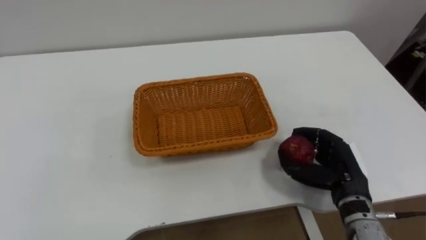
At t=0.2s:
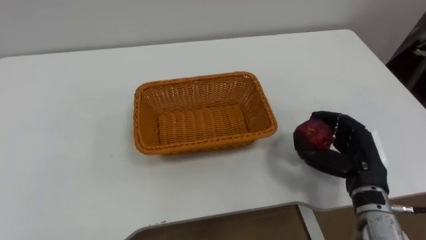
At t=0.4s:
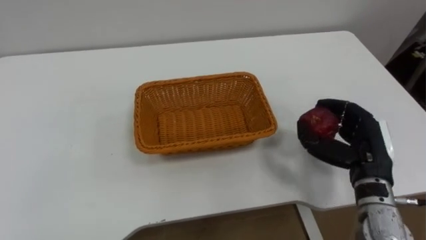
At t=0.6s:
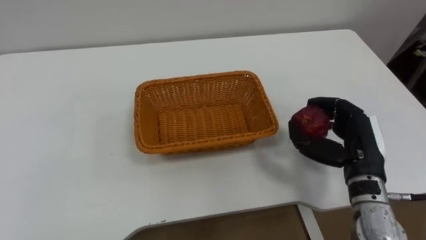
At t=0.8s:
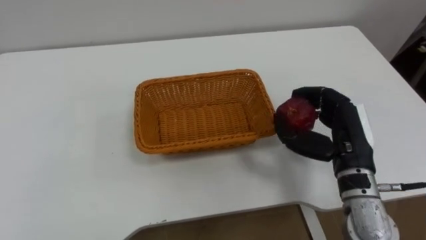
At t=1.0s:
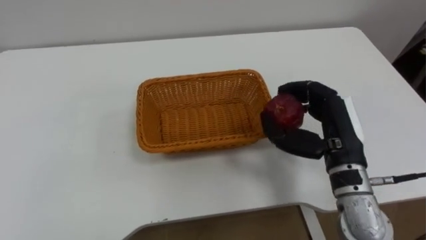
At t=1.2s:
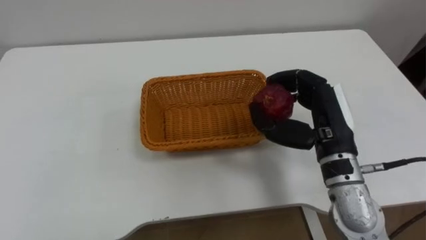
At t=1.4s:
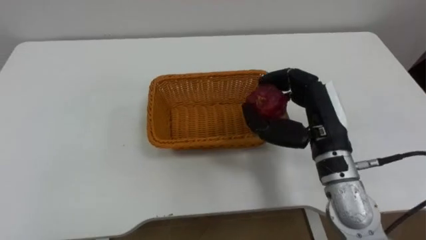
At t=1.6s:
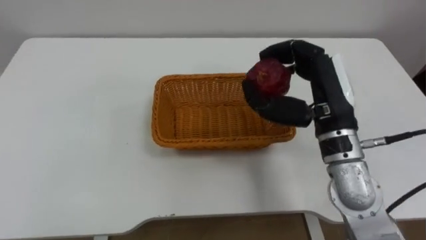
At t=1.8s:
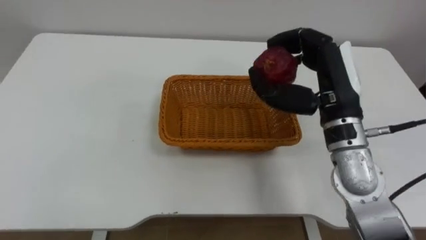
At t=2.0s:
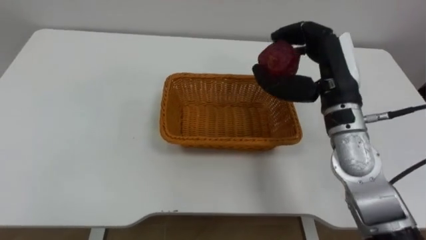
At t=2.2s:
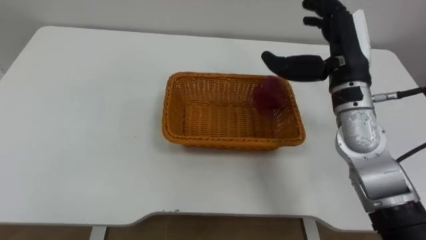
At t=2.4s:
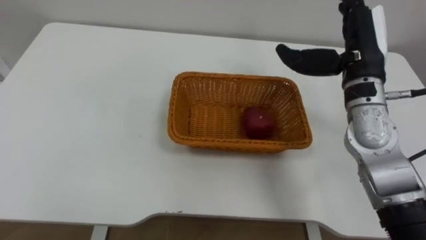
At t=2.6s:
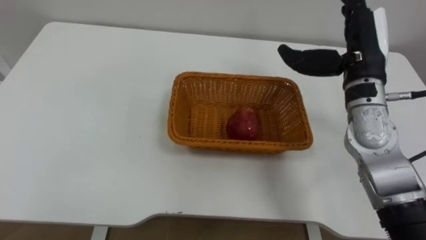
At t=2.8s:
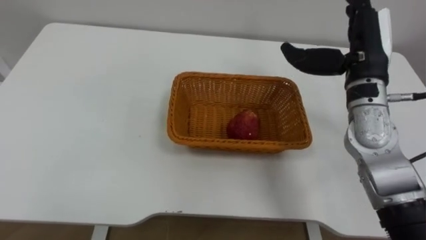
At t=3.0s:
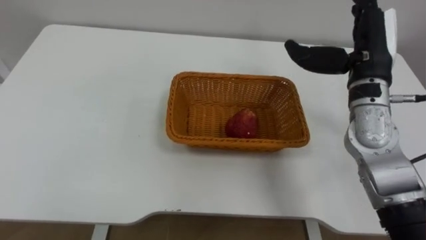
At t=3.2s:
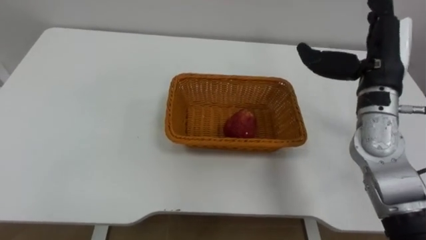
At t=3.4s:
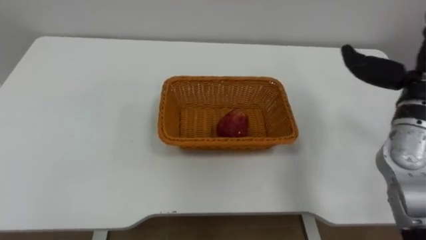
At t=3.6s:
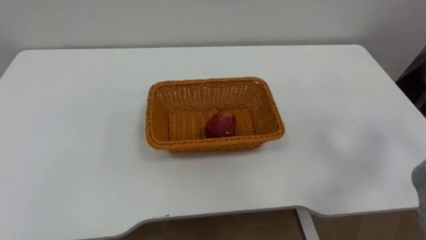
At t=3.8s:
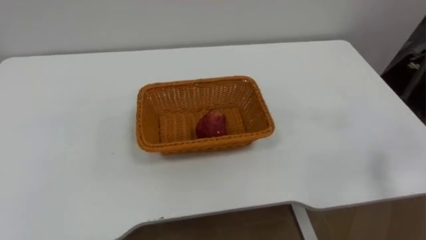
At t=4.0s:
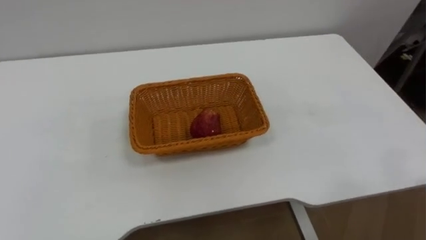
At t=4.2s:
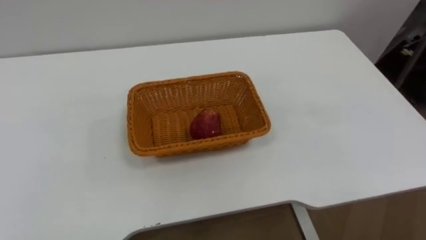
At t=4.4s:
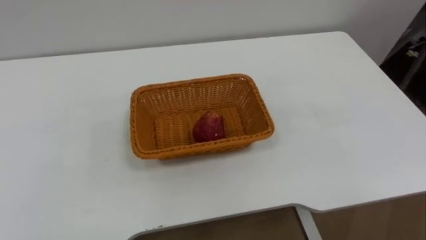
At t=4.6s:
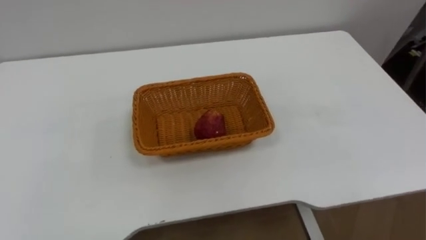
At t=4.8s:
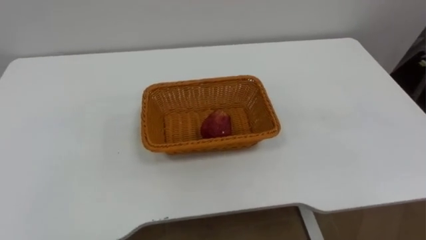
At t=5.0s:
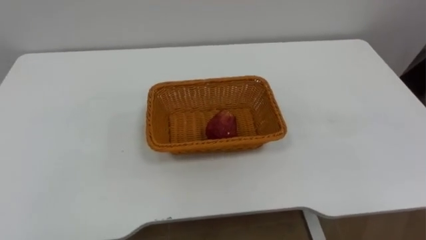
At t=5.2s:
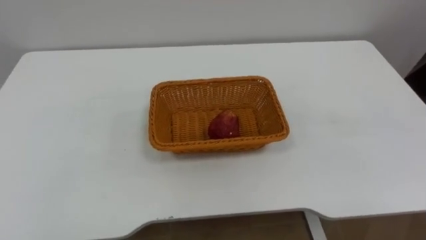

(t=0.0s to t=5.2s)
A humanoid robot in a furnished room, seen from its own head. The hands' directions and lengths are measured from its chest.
Task of the whole recording: Pick the apple and place it in the box.
t=0.0s - t=1.8s: The right hand is displaced upward and forward by some 20 cm.
t=1.8s - t=3.4s: The right hand is displaced to the right by some 15 cm, and opens up.

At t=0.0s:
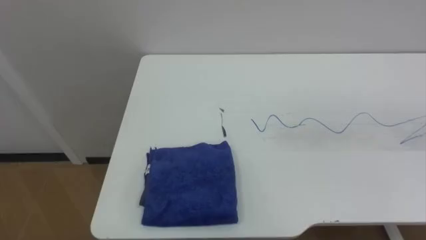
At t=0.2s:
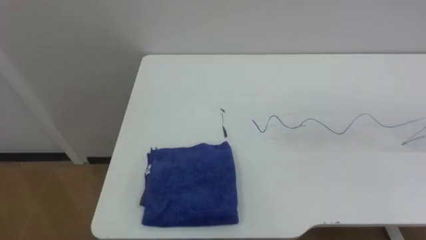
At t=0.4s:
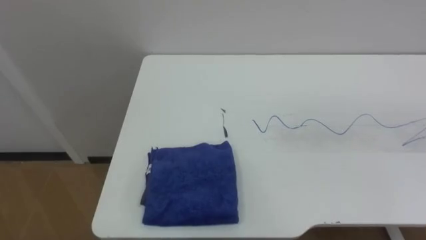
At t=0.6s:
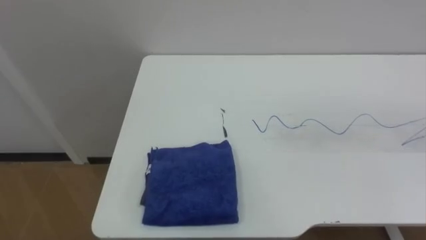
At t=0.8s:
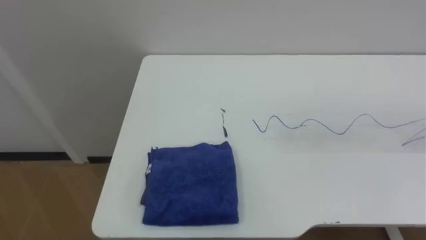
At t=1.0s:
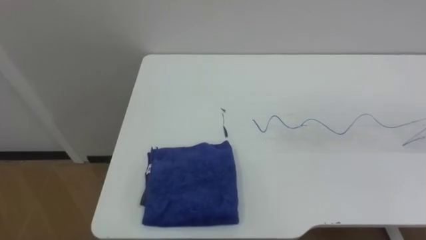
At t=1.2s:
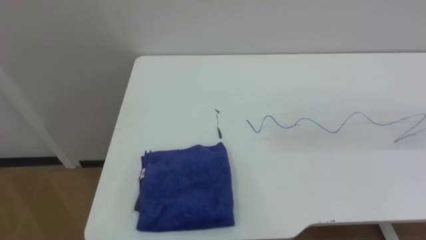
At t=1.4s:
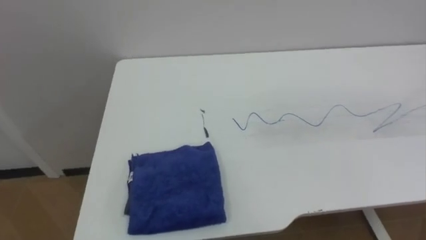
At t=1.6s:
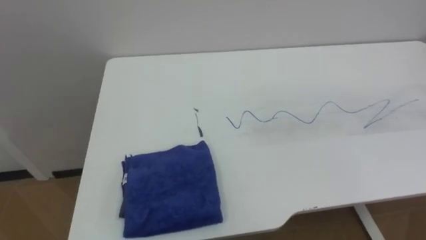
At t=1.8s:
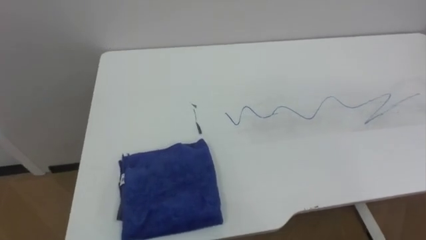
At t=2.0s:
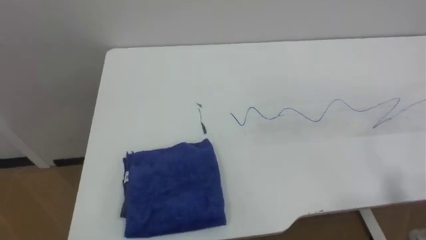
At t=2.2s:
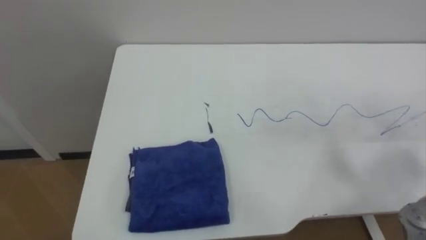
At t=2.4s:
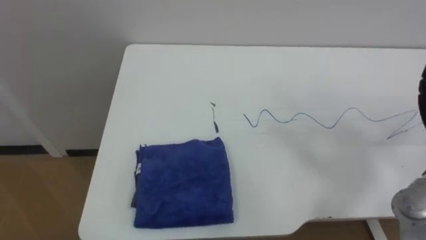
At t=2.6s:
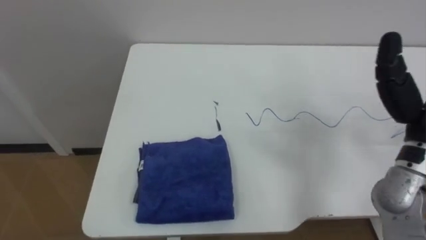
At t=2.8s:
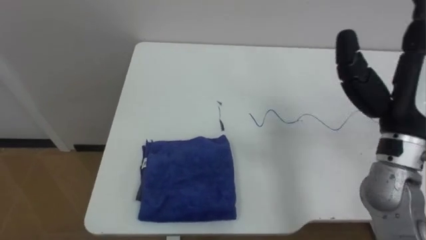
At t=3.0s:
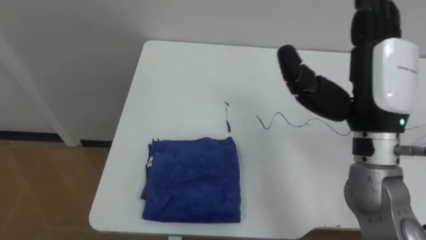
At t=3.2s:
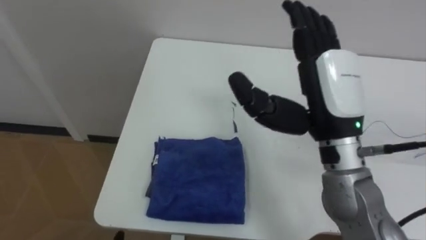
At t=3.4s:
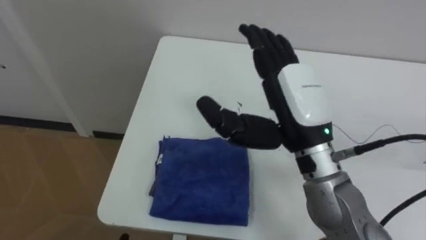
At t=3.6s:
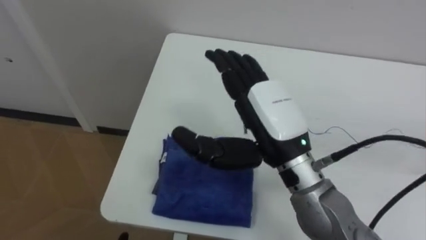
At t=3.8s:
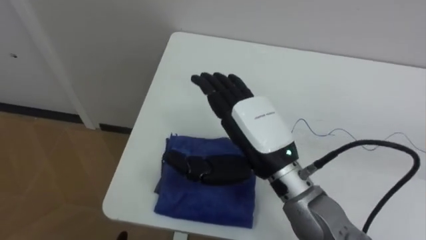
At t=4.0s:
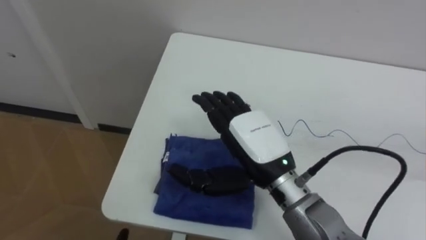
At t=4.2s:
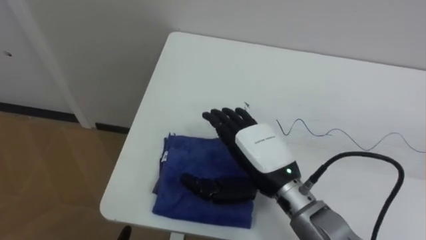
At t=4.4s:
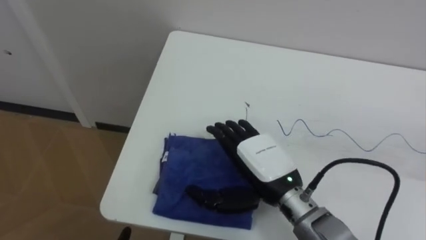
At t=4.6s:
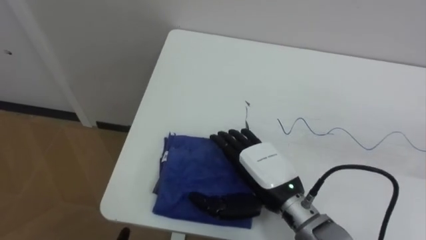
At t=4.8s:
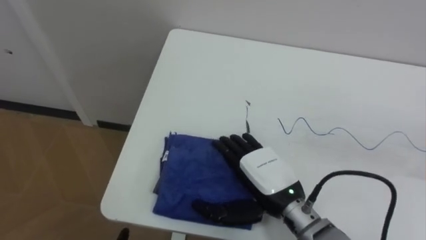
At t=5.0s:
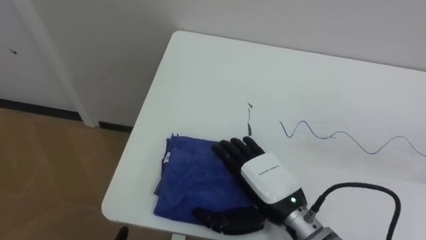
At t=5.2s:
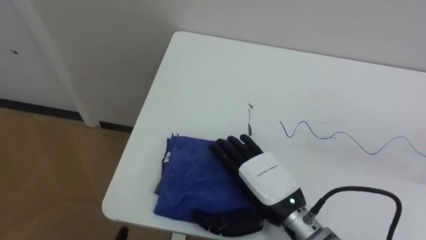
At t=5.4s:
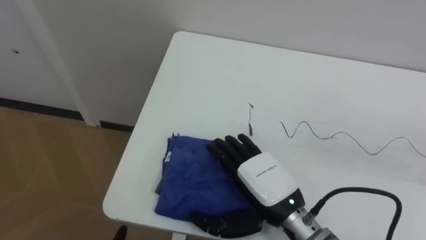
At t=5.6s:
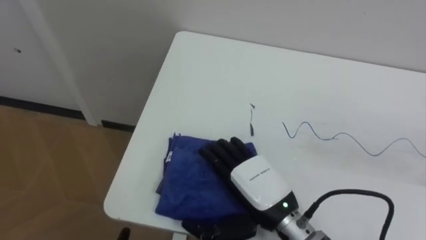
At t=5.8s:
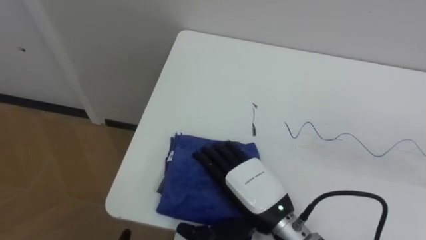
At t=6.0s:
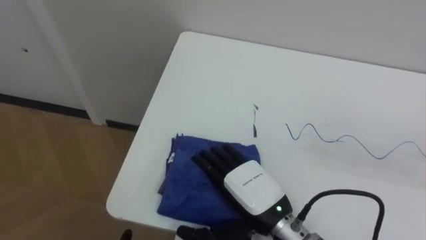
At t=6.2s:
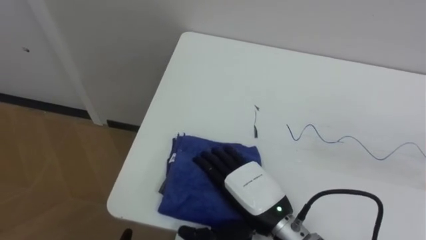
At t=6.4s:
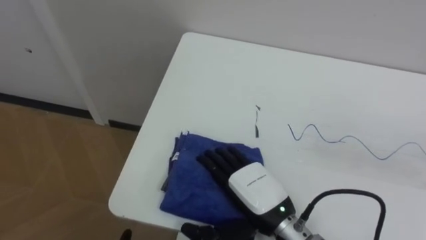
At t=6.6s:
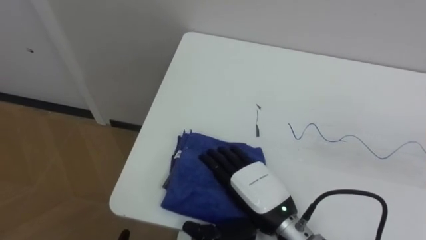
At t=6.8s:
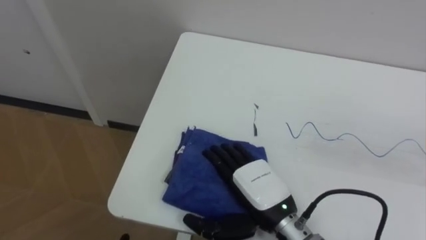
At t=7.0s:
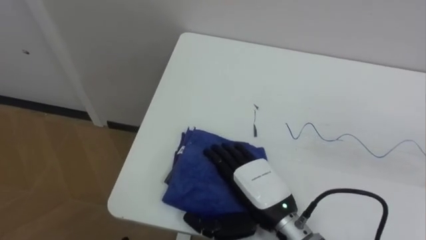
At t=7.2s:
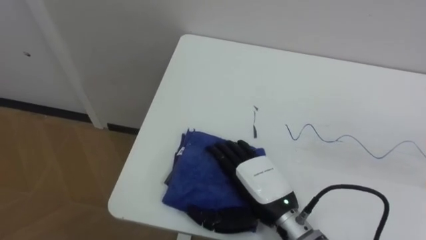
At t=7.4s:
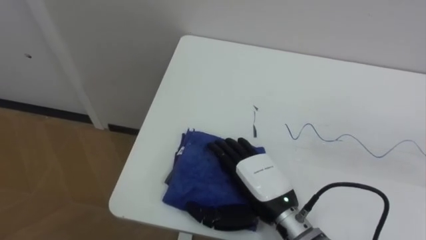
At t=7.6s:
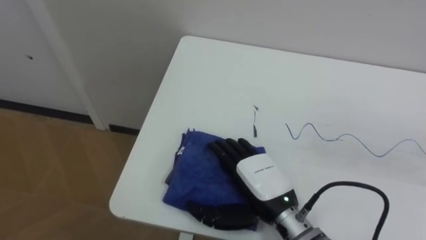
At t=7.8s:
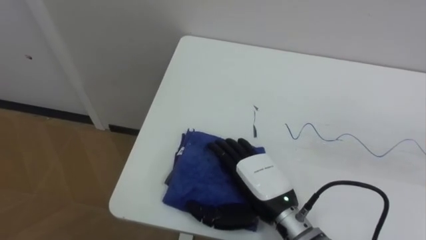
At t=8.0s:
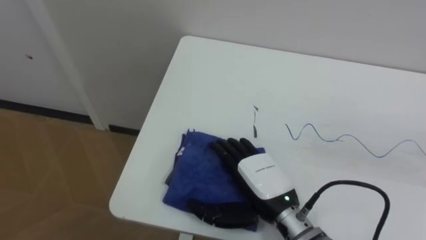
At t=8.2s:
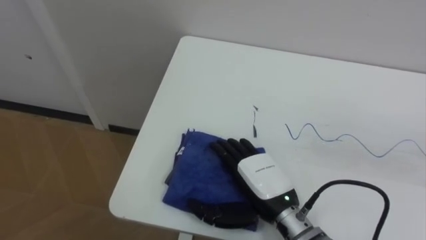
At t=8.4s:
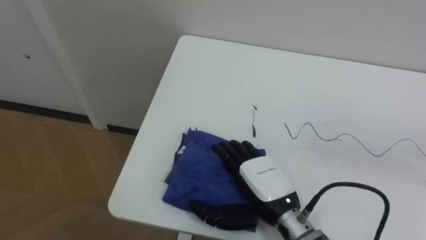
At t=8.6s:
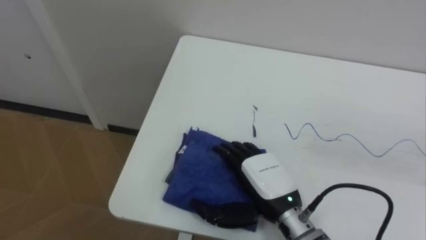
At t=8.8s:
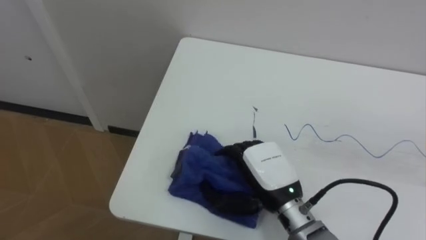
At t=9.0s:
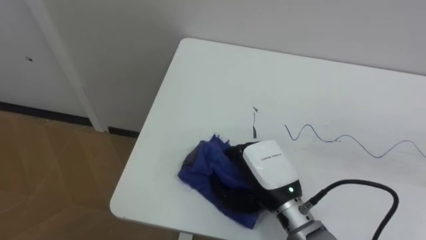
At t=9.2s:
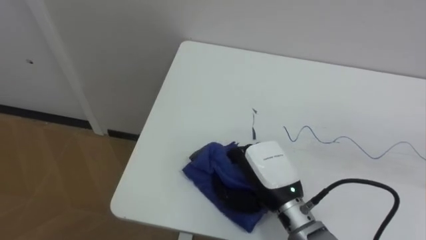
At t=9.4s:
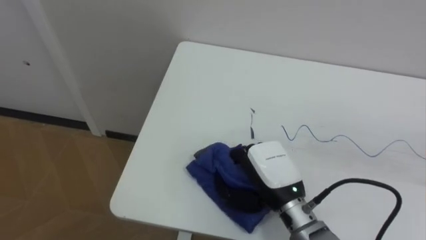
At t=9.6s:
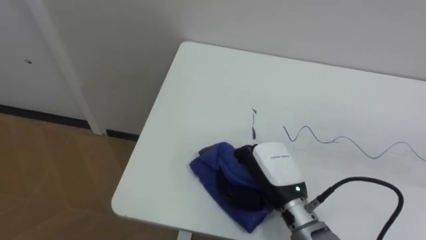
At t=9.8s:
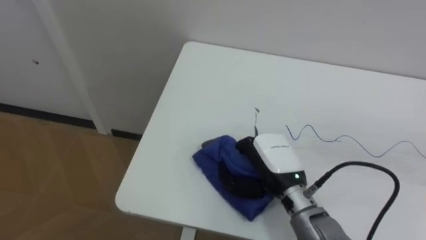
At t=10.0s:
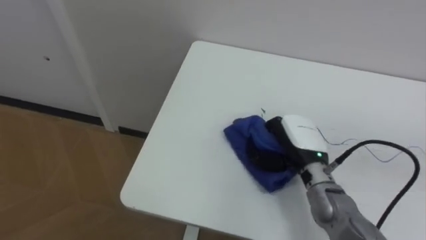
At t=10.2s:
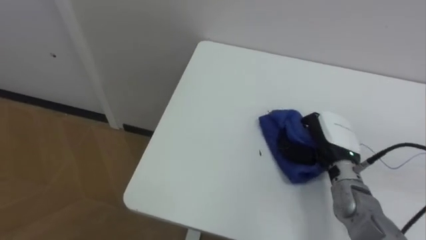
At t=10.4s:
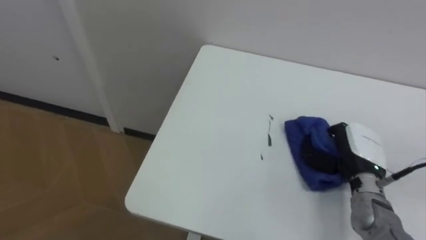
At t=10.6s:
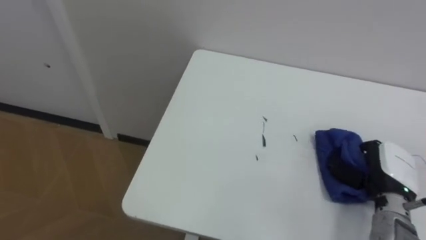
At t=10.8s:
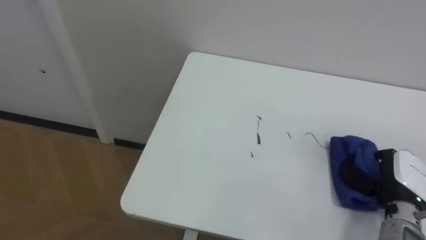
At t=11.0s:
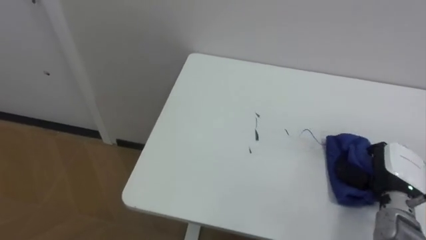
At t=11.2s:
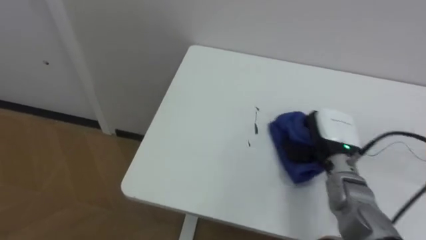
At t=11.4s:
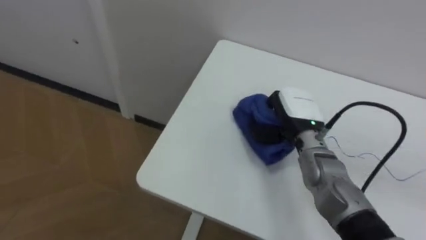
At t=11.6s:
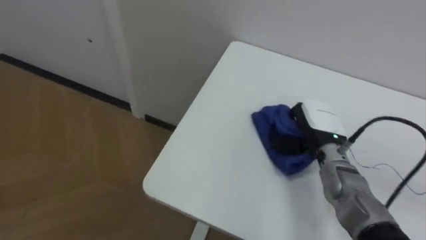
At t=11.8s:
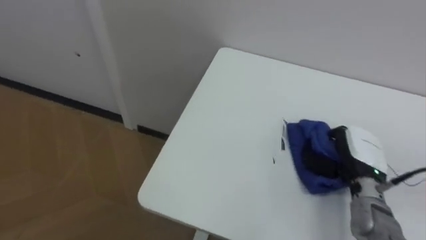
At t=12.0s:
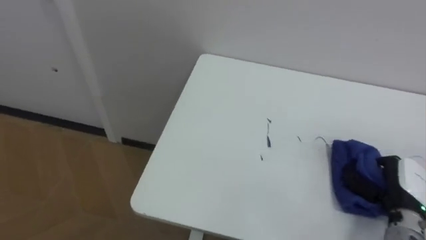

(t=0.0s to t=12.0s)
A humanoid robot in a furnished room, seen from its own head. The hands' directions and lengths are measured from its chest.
Task of the whole recording: Wipe the blue pen marks off the table with the rag.
t=3.0s - t=4.4s: The right hand travels downward and to the left by approximately 20 cm.
t=4.4s - t=6.0s: The right hand moves some 5 cm.
t=7.6s - t=9.0s: The right hand closes its fingers.
t=9.0s - t=10.4s: The right hand shifts approximately 20 cm to the right, and closes up.
t=10.4s - t=12.0s: The right hand goes left and right, about 20 cm each way, reversing 2 times.
